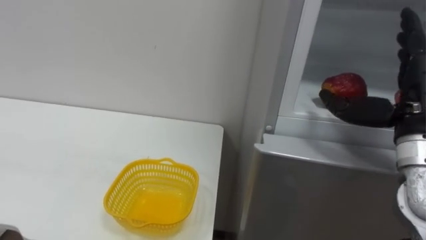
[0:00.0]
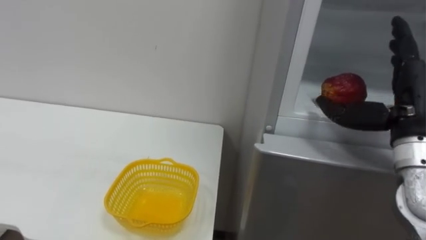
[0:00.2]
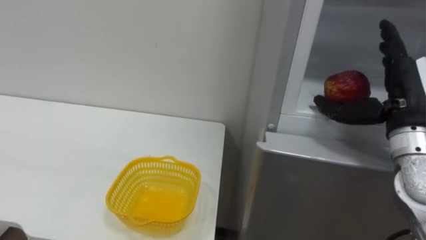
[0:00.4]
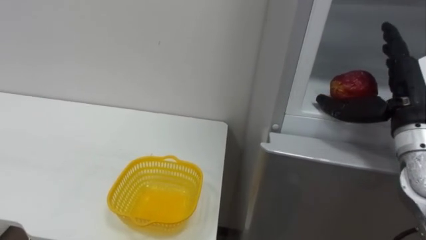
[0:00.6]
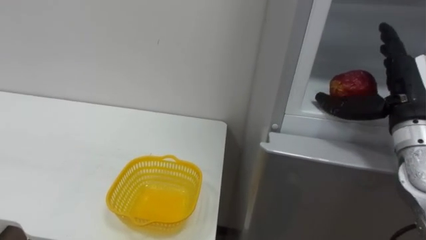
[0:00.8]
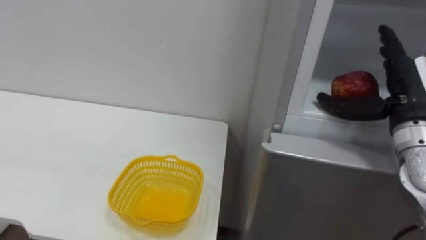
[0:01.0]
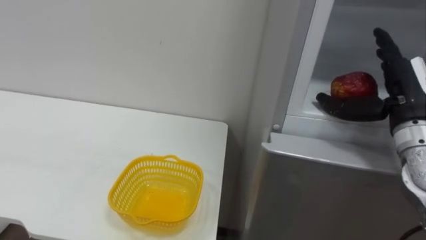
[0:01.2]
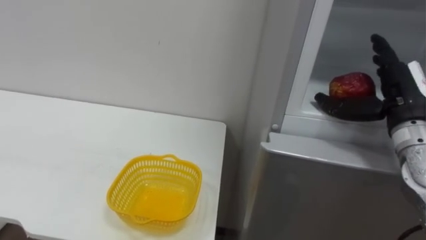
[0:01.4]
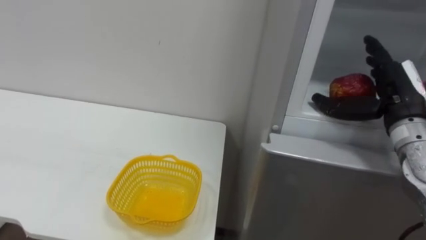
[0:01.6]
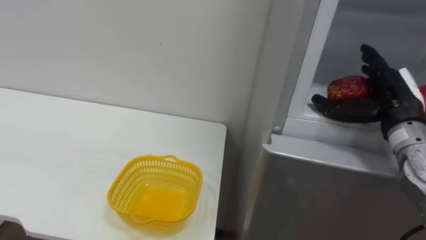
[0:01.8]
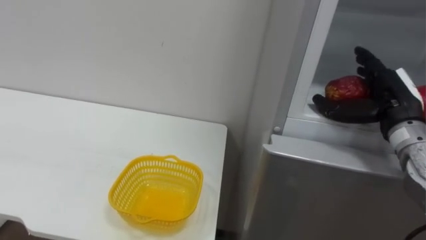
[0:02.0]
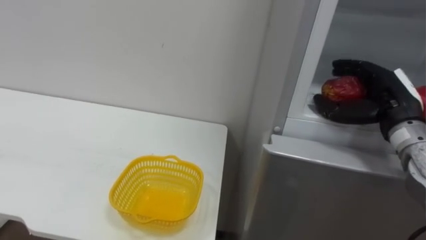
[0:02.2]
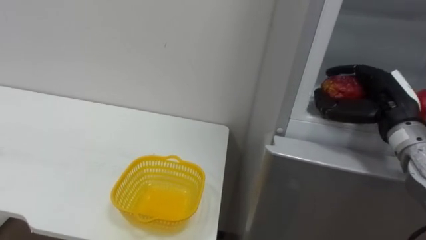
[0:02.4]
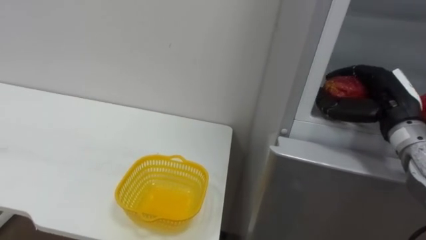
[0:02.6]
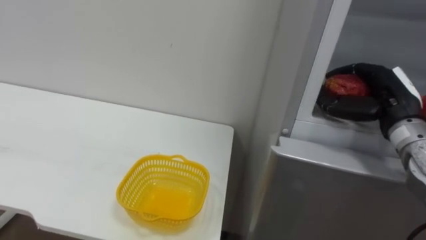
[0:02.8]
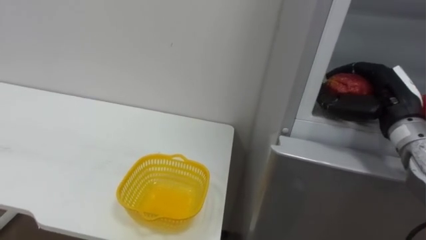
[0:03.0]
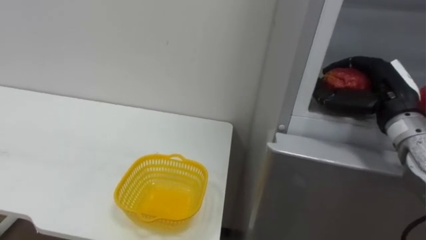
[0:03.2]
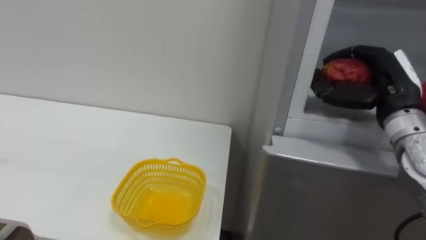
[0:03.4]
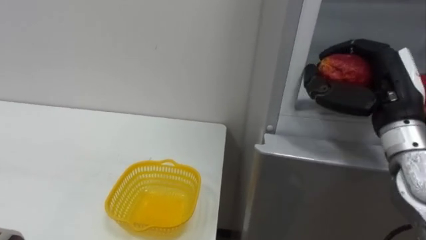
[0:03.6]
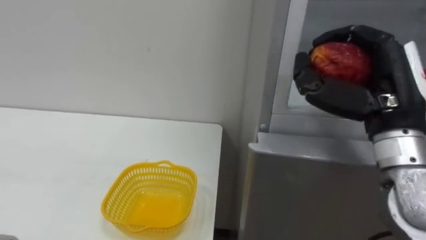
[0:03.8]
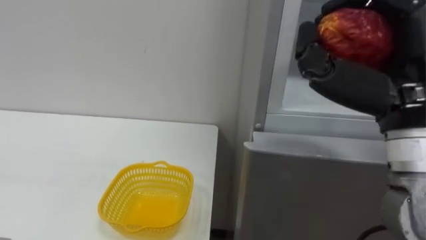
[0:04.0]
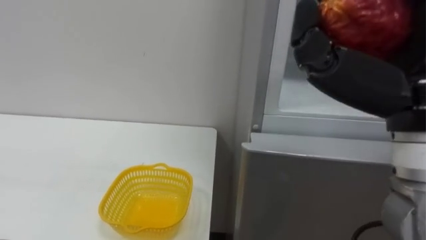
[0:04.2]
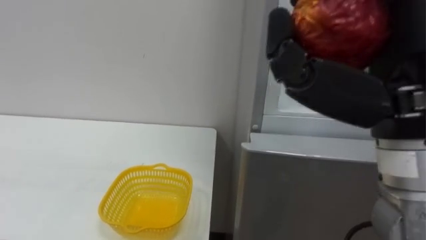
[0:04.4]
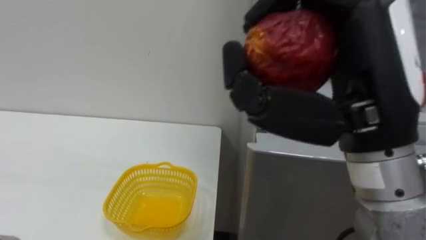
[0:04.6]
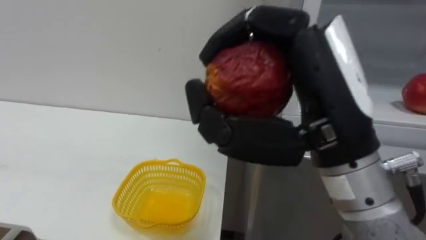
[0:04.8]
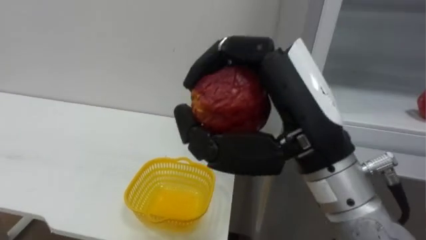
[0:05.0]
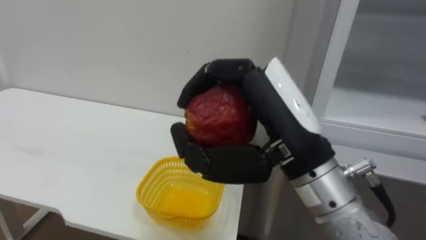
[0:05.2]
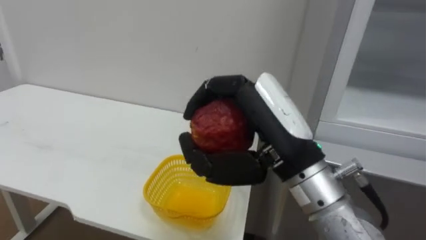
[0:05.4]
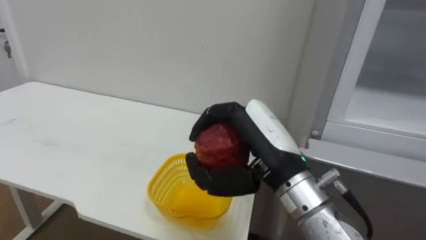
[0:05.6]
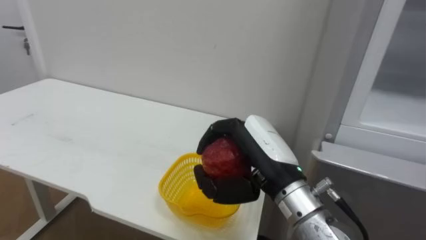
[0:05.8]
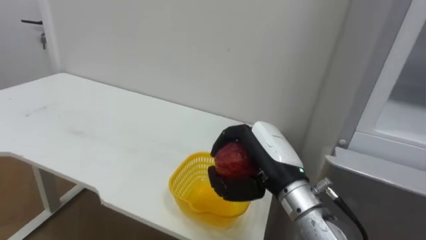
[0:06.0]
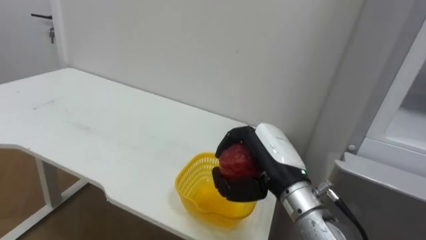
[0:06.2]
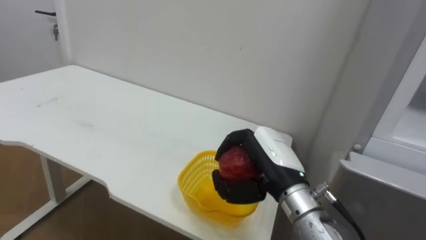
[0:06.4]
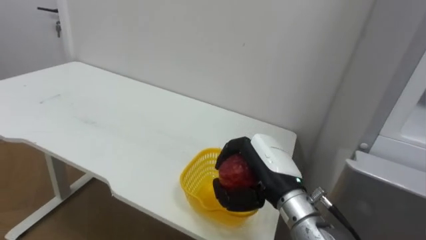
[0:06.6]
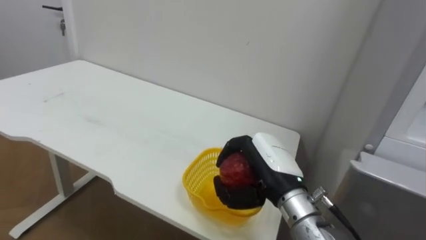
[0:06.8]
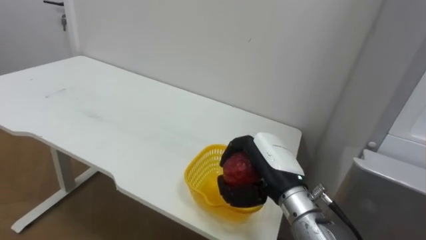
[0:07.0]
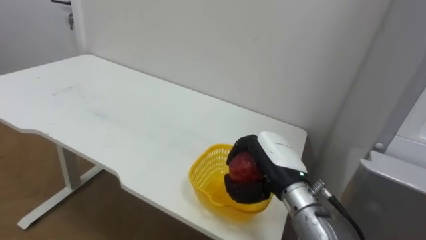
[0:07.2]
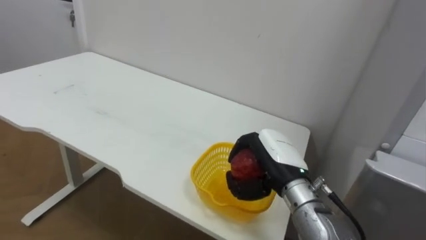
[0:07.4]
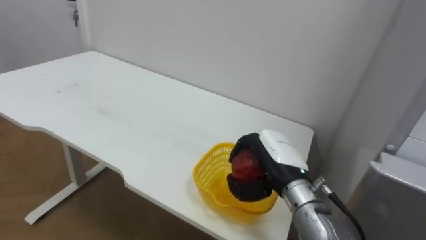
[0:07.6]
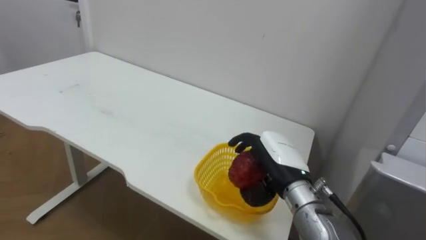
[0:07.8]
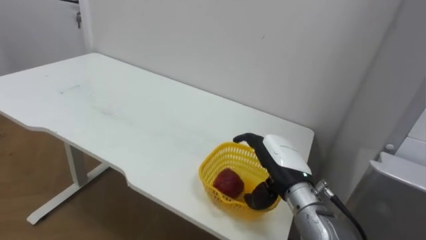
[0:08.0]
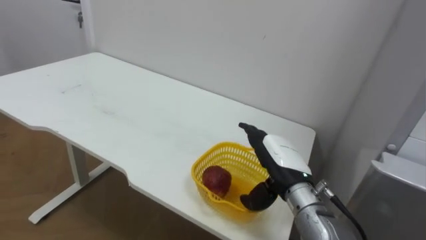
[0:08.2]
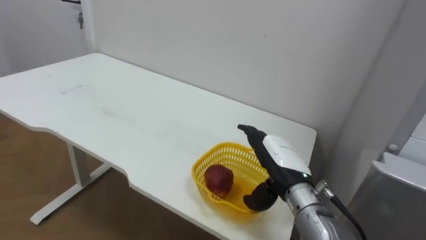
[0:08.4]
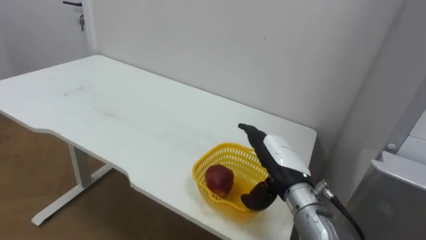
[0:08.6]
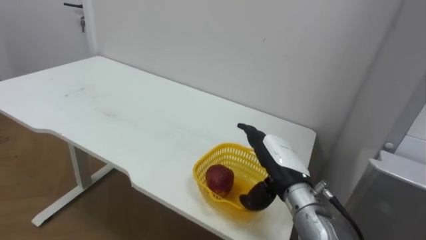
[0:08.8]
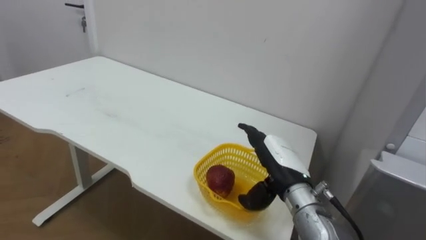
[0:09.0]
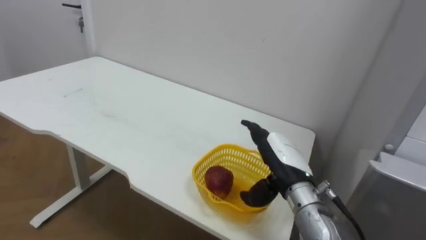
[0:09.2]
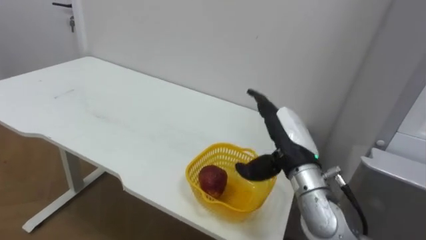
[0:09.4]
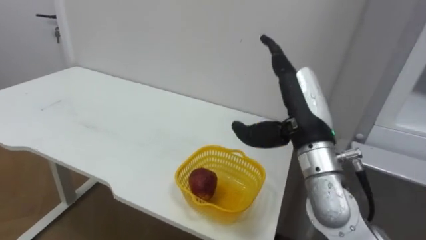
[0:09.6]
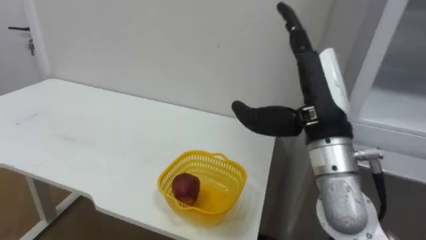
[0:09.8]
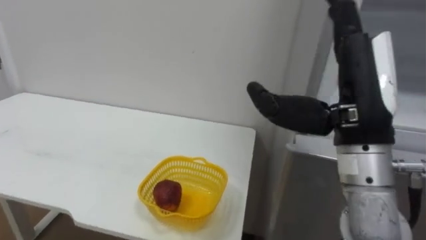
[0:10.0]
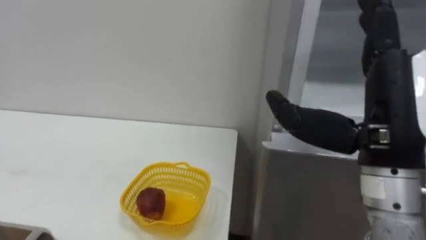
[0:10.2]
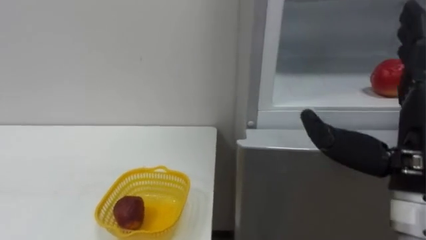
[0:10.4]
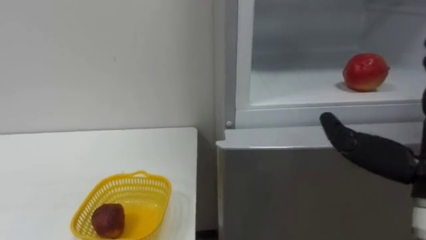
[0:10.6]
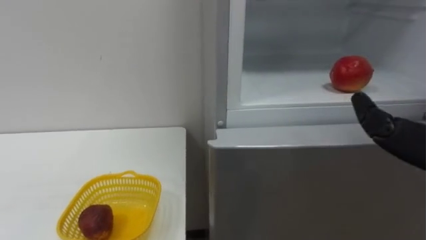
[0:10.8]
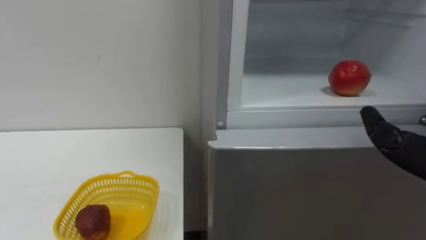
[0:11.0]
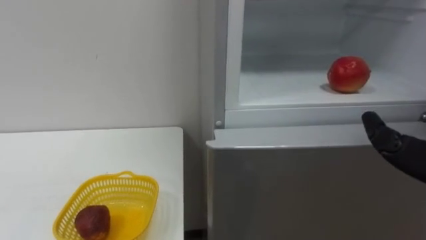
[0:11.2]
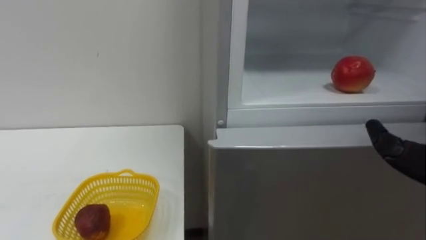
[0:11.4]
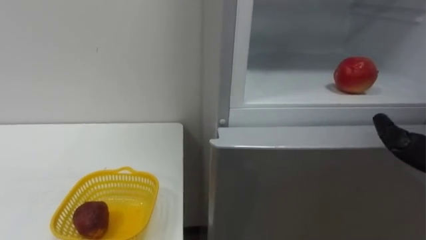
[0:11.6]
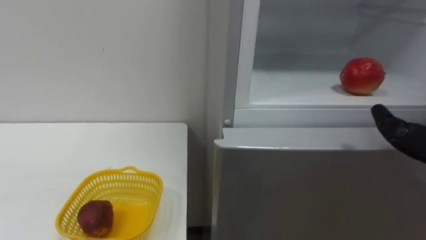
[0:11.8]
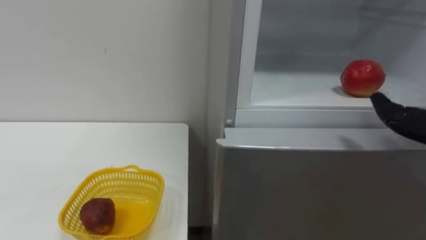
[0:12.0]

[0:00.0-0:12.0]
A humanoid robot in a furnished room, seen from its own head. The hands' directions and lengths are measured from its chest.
Task of the whole recording: Open the refrigerator door, take out the apple and the pomegranate, place them in the fruit basket on the left, and close the refrigerator door.
0:00.0 to 0:01.6: The right hand heads forward, covering about 5 cm.
0:01.6 to 0:03.0: The right hand closes.
0:03.0 to 0:04.4: The right hand is displaced backward, upward and to the left by about 25 cm.
0:04.4 to 0:06.0: The right hand heads downward, forward and to the left, covering some 20 cm.
0:06.0 to 0:07.6: The right hand shifts by roughly 5 cm.
0:07.6 to 0:09.0: The right hand opens up.
0:09.0 to 0:10.4: The right hand moves upward, backward and to the right, about 20 cm.

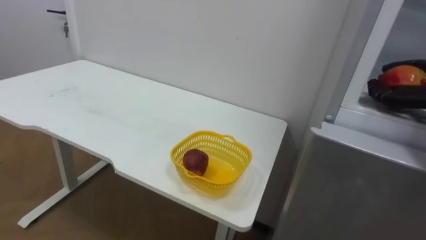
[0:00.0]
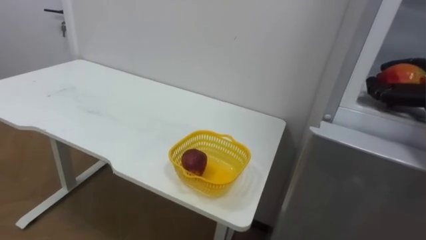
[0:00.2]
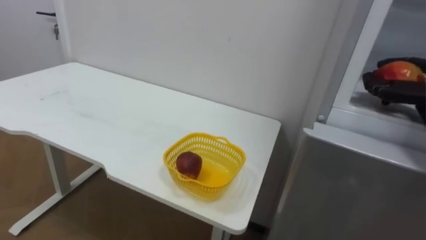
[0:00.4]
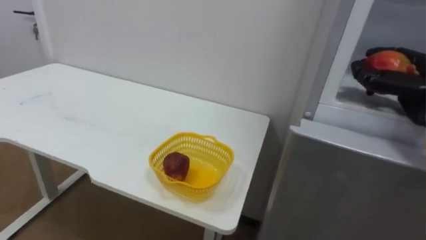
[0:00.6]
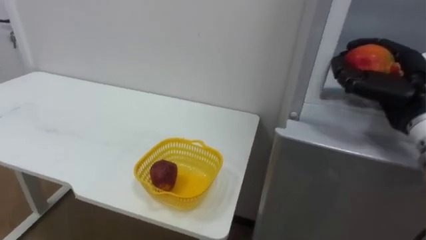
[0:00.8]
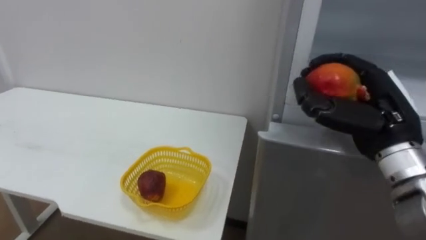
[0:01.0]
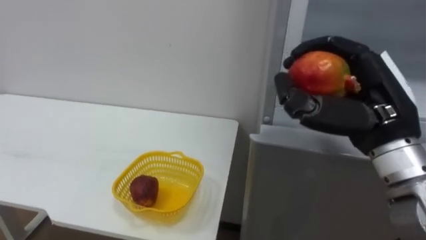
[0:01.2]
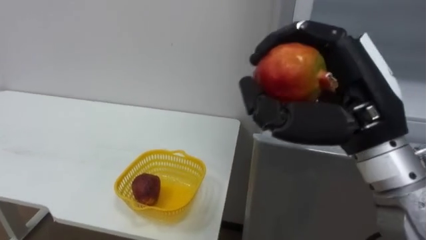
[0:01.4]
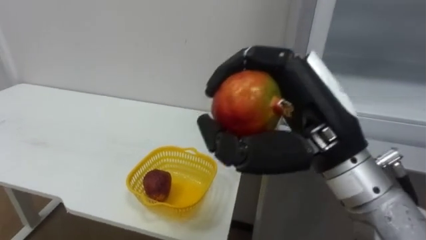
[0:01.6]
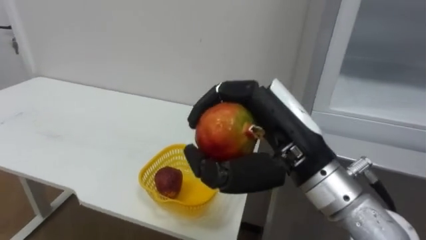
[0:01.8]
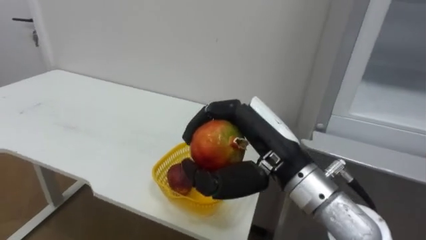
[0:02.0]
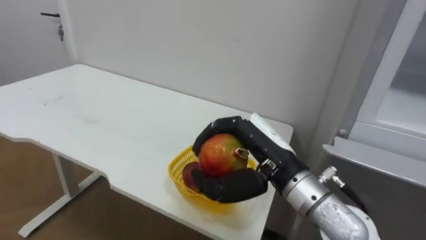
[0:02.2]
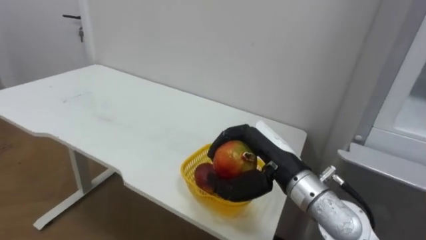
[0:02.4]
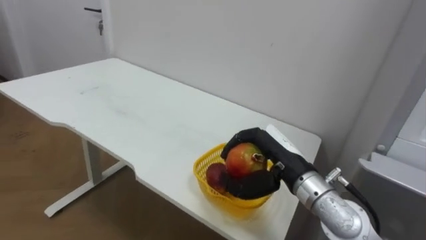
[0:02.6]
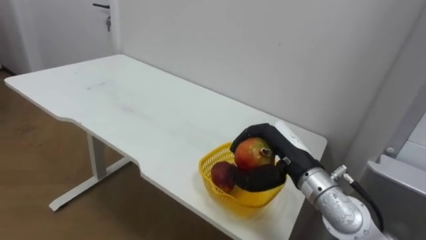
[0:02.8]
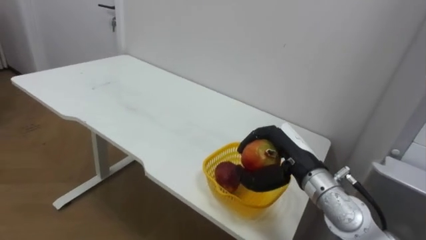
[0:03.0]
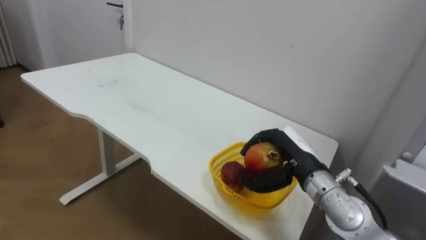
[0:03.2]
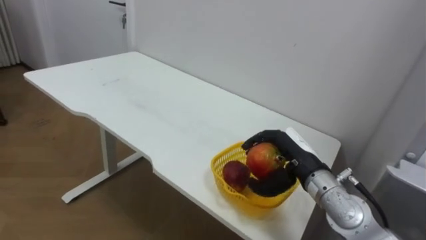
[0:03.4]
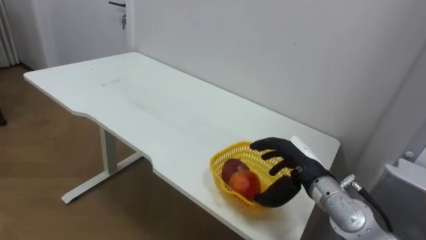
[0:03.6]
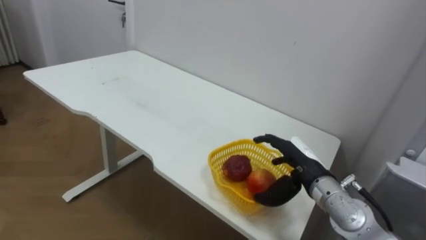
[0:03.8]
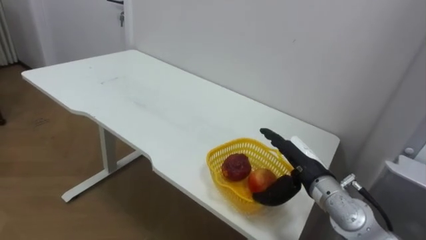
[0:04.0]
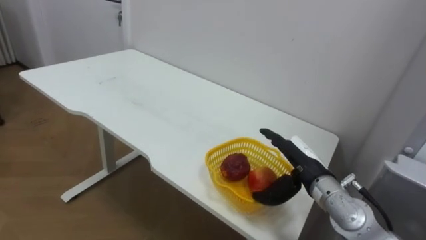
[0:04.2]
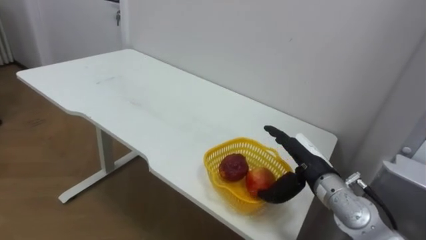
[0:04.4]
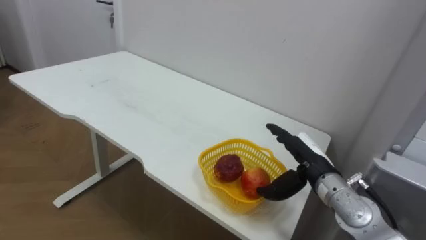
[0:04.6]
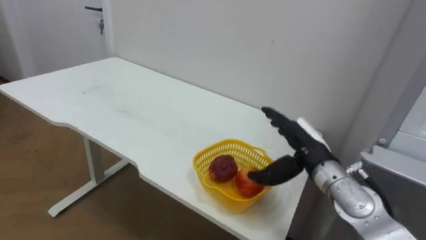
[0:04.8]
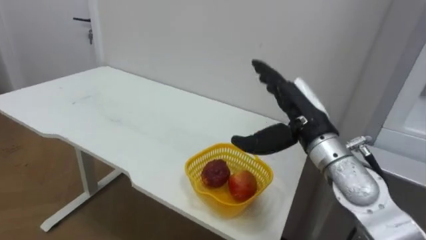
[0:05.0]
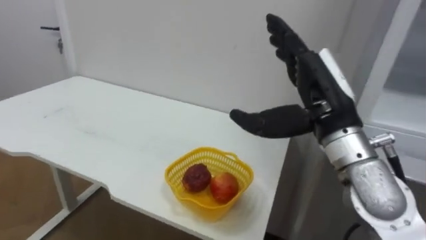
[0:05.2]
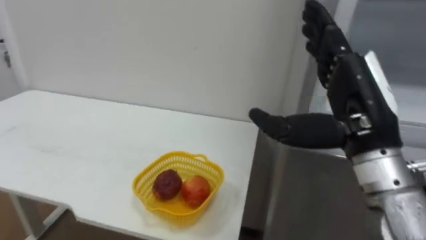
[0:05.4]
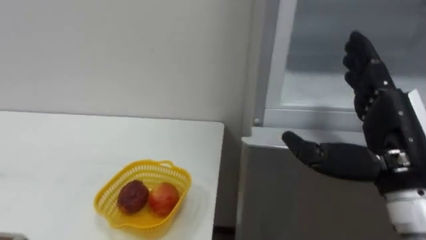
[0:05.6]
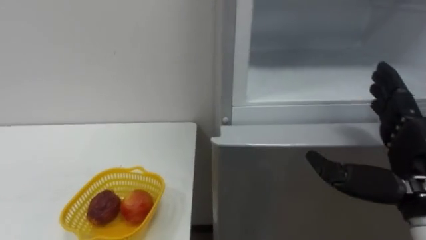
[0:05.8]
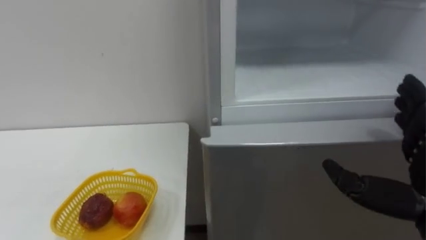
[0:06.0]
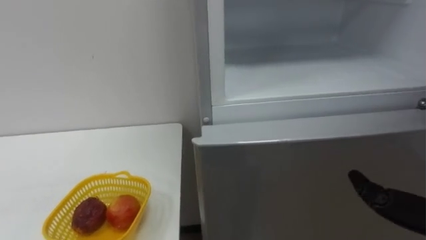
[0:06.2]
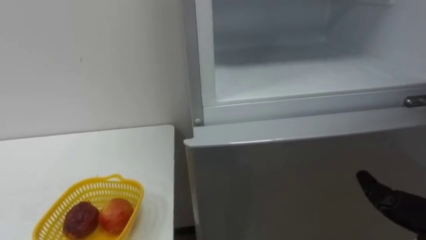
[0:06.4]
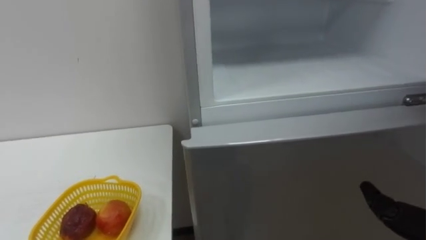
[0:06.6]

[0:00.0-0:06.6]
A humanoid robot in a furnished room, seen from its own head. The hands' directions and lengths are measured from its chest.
Task of the whole recording: Open the refrigerator door, take out the apple and the pomegranate, place them in the fruit basket on the left, and close the refrigerator door.
0:01.6 to 0:03.2: The right hand is displaced downward and forward by about 20 cm.
0:03.2 to 0:05.0: The right hand is displaced upward by roughly 10 cm, and opens up.
